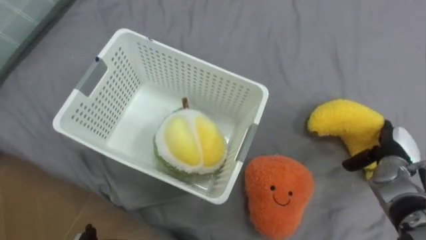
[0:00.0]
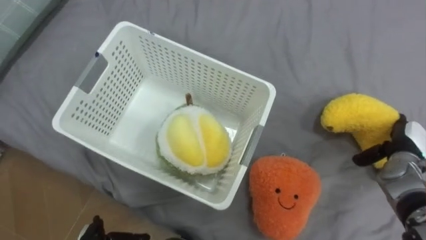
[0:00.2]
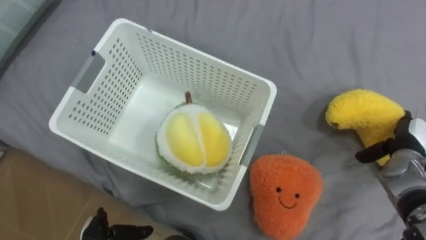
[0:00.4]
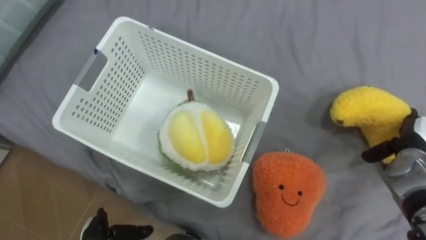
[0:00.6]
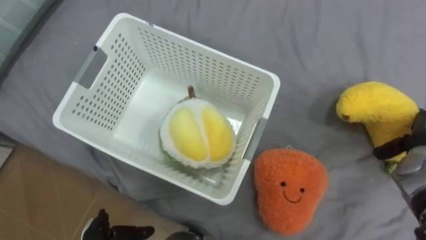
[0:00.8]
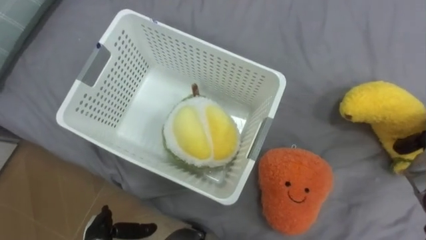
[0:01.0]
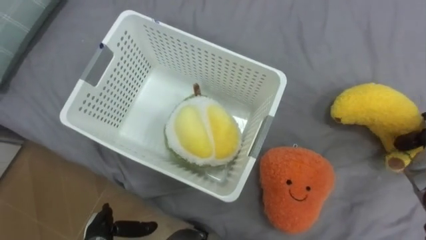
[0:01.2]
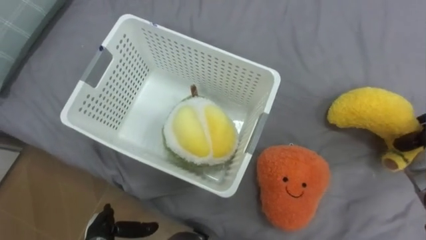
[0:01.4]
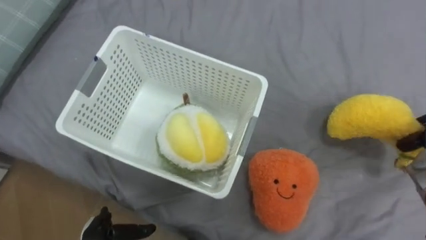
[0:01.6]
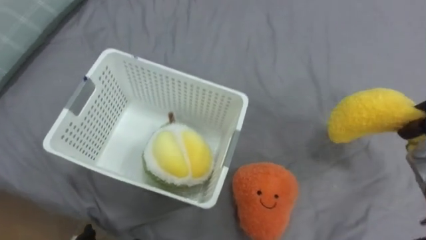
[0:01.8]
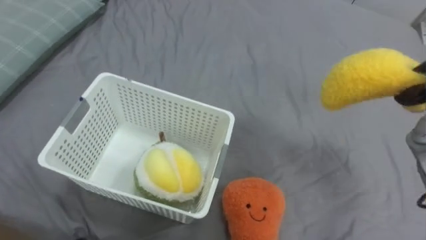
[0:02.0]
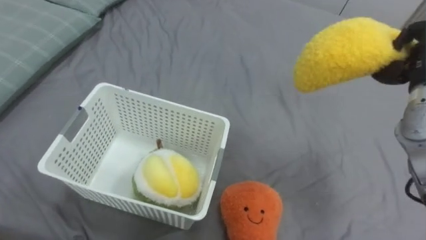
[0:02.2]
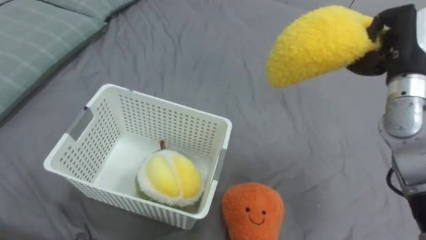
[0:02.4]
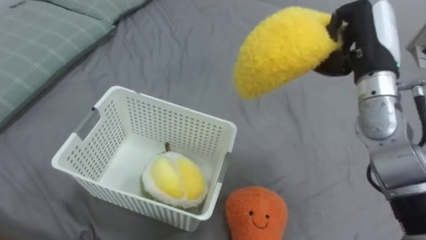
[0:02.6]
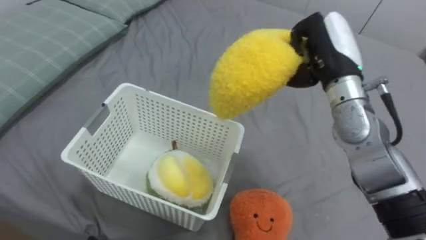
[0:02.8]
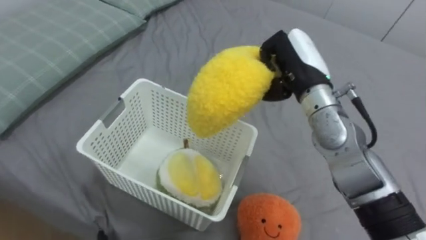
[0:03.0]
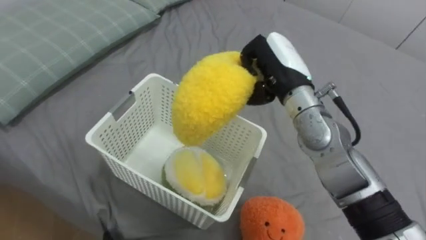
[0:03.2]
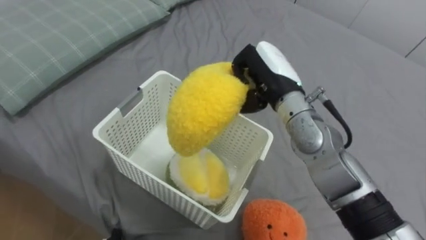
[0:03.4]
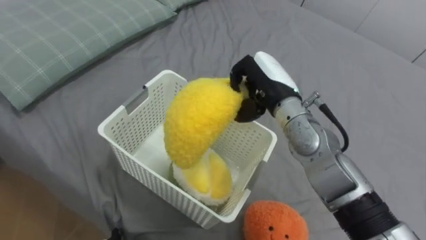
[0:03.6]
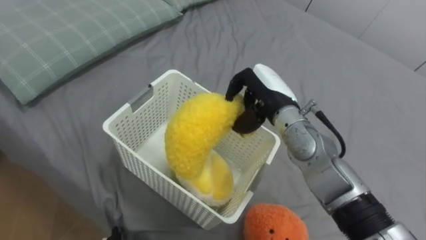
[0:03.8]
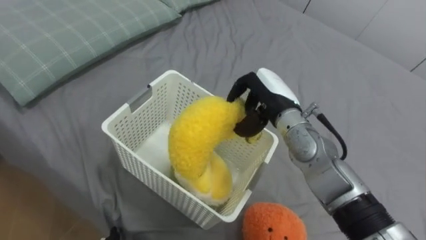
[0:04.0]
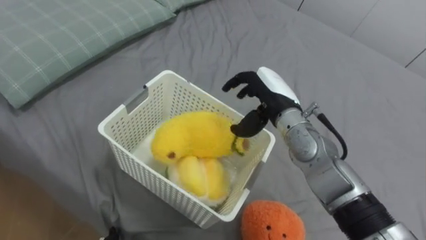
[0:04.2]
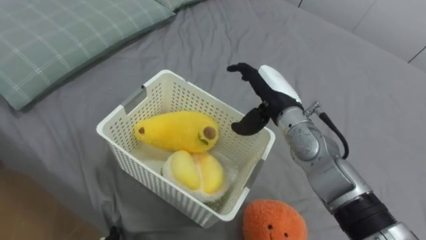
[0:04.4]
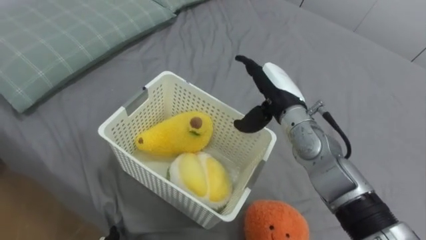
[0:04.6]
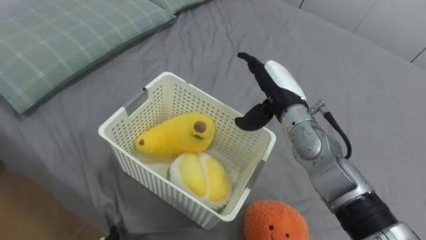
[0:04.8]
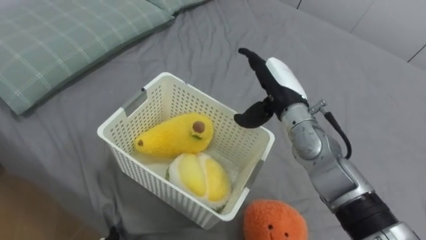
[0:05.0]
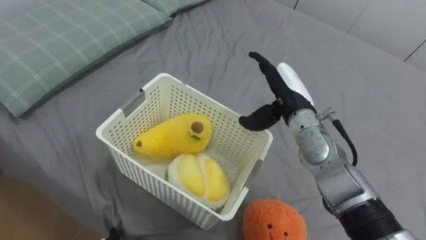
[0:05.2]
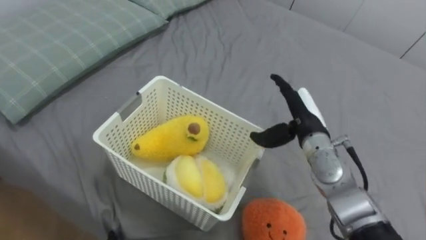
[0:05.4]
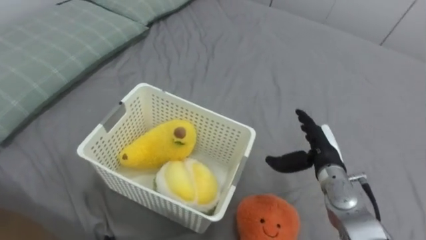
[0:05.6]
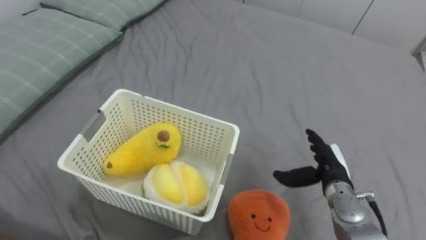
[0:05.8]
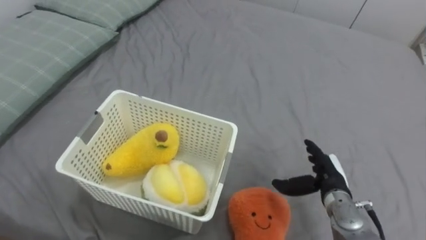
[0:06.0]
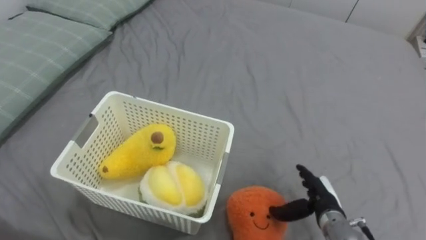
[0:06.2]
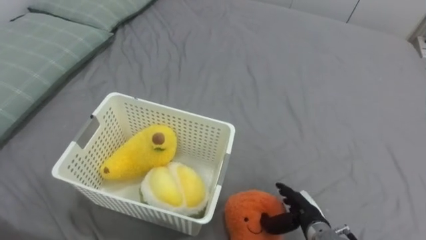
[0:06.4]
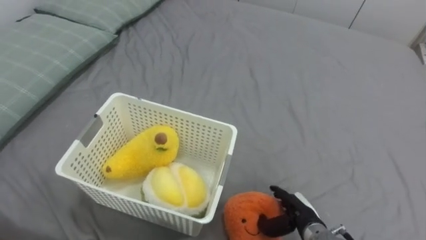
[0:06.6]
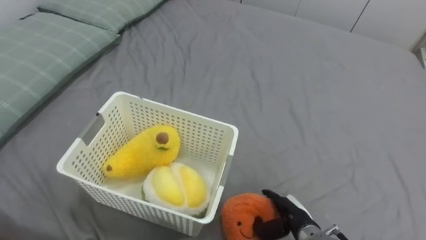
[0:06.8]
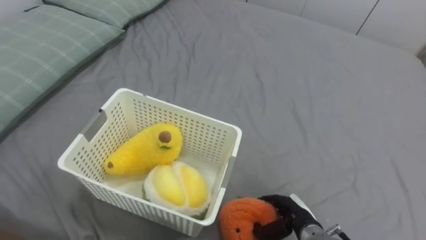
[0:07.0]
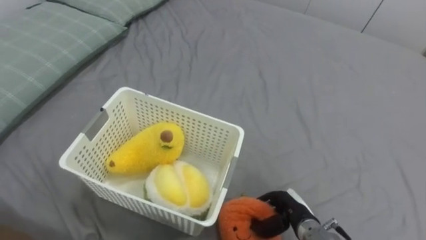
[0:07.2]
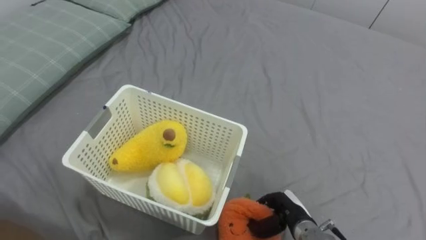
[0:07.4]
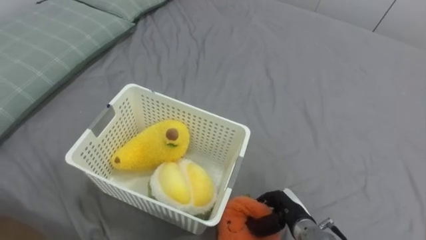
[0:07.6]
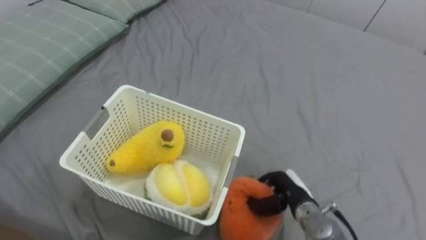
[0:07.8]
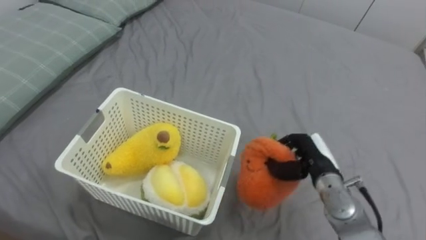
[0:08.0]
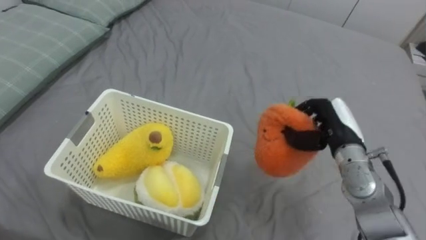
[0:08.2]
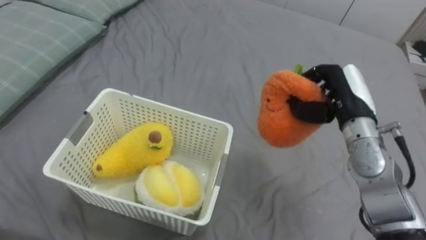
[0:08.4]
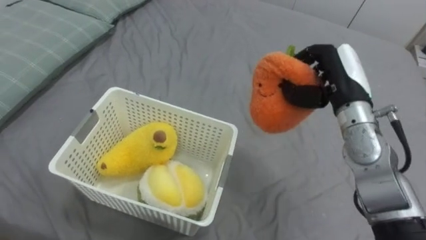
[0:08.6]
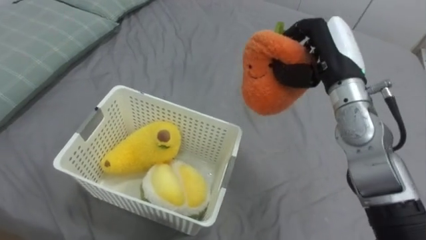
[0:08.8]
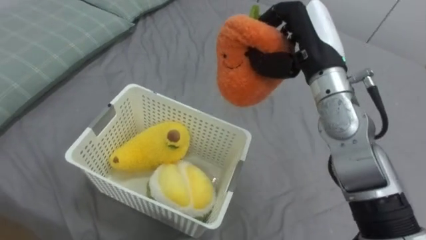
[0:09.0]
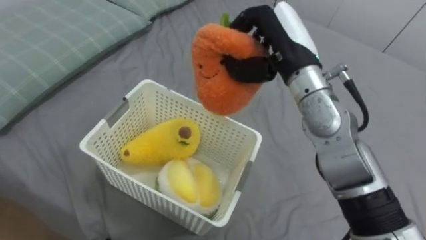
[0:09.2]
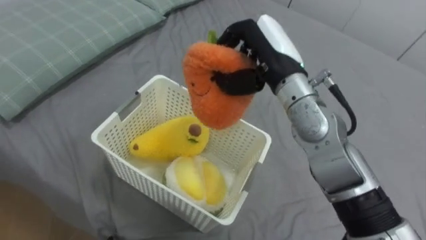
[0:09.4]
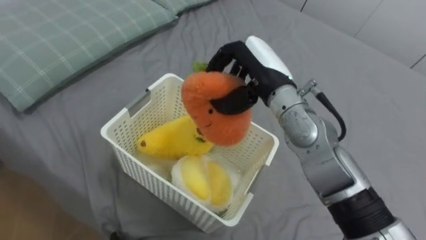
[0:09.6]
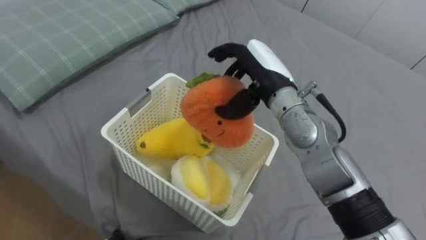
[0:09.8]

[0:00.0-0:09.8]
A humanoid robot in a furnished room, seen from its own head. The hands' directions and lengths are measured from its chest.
Task of the whole recording: Put the toys on the bed into the basket on the left.
0:02.8 to 0:04.2: The right hand moves downward and to the left, some 10 cm, and opens its fingers.
0:04.2 to 0:05.6: The right hand heads to the right, downward and backward, covering roughly 15 cm.
0:05.6 to 0:07.0: The right hand shifts about 15 cm downward and backward.
0:07.0 to 0:08.4: The right hand is displaced upward and forward by approximately 25 cm, and closes.
0:08.4 to 0:09.8: The right hand goes approximately 15 cm to the left, and opens its fingers.

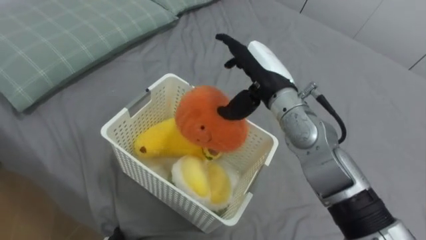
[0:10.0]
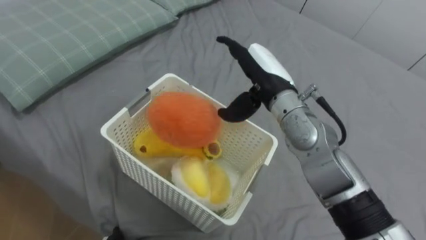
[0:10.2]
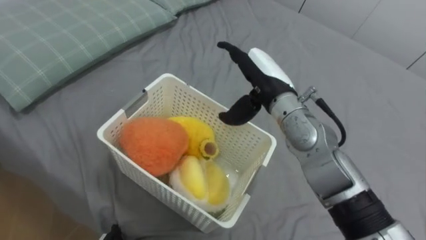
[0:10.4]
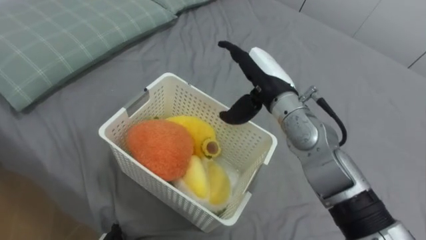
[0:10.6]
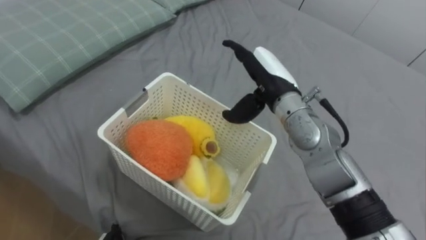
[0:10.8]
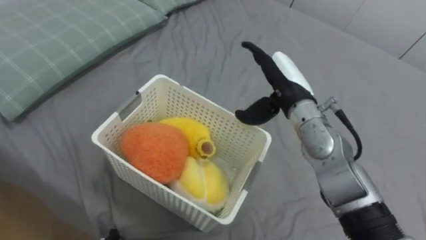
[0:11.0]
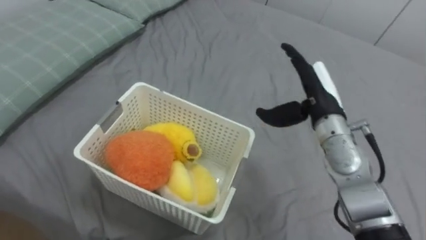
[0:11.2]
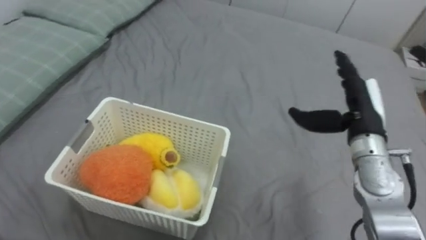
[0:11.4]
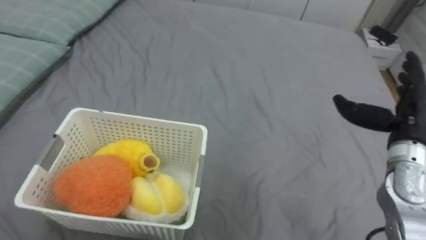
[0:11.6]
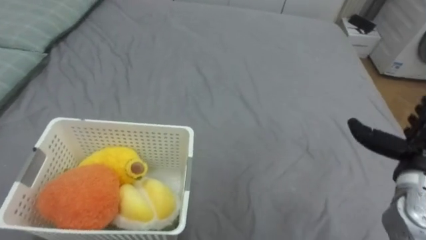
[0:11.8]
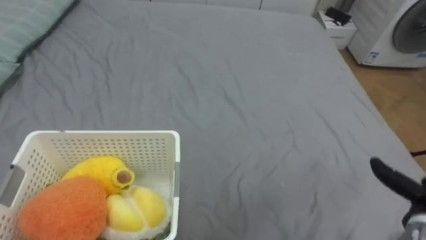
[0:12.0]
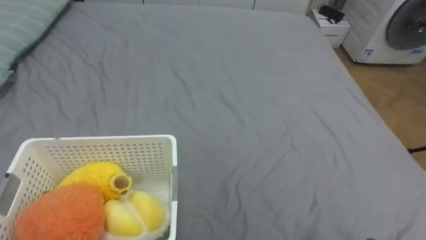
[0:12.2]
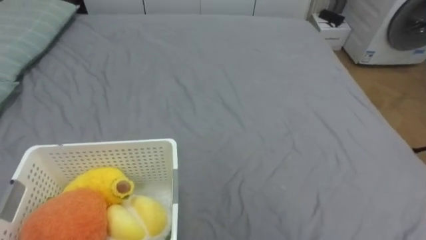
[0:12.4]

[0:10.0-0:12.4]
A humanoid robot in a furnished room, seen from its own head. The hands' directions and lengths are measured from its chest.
Task of the whole recording: Put the toys on the bed into the basket on the left.
0:10.0 to 0:11.2: The right hand shifts about 10 cm to the right.

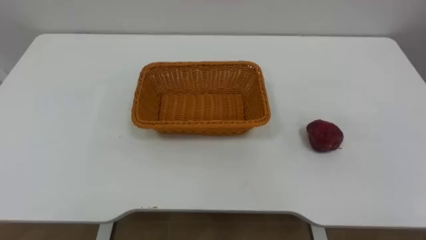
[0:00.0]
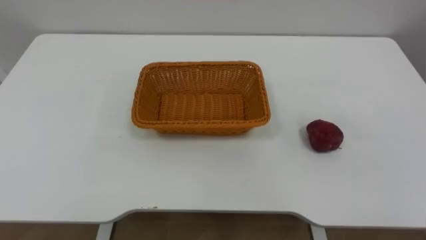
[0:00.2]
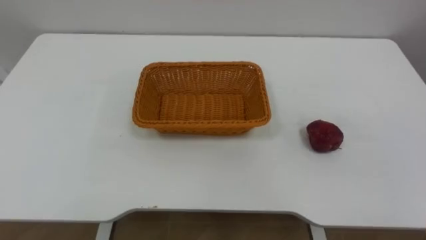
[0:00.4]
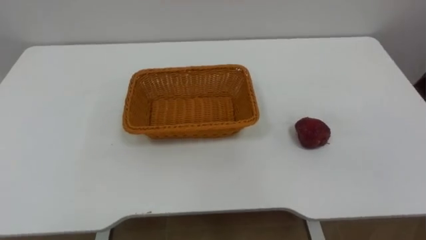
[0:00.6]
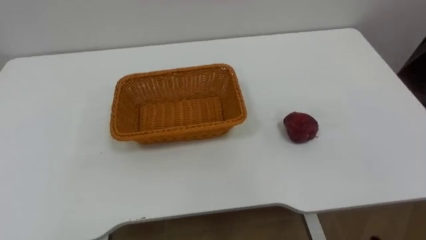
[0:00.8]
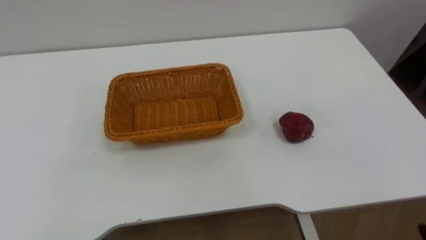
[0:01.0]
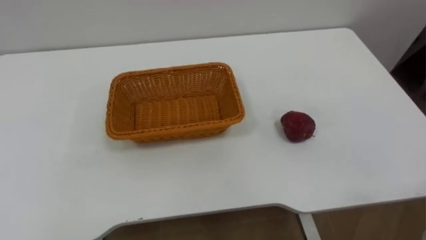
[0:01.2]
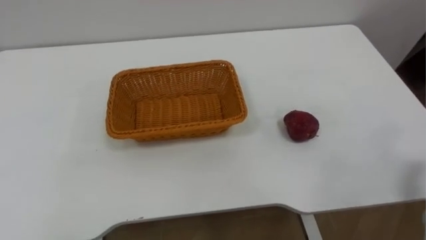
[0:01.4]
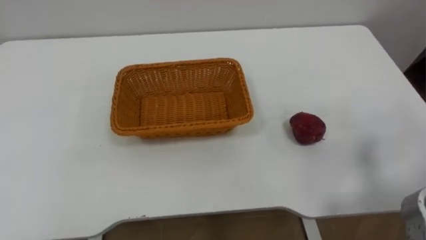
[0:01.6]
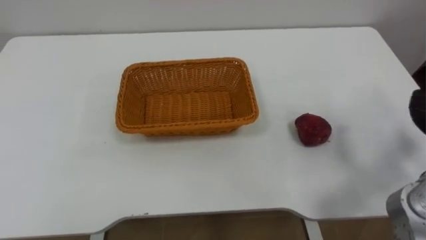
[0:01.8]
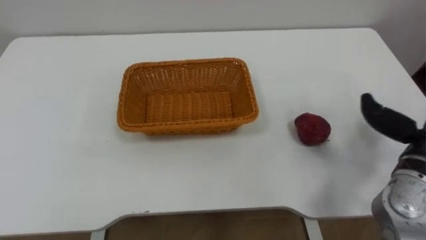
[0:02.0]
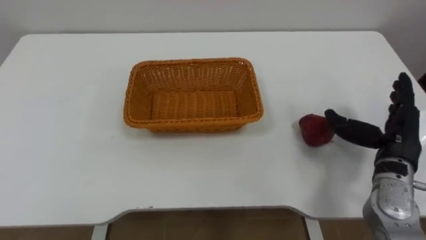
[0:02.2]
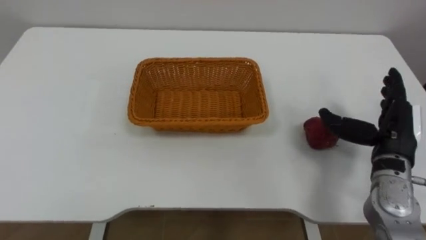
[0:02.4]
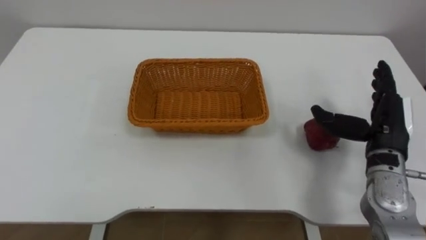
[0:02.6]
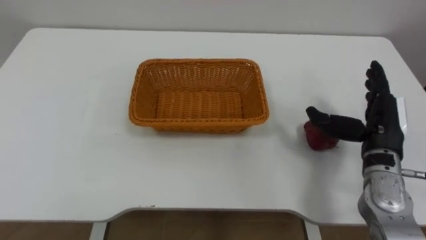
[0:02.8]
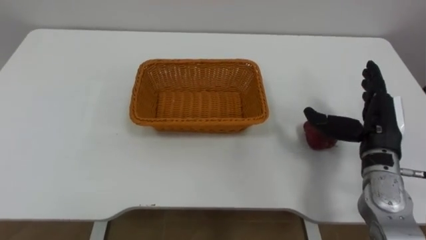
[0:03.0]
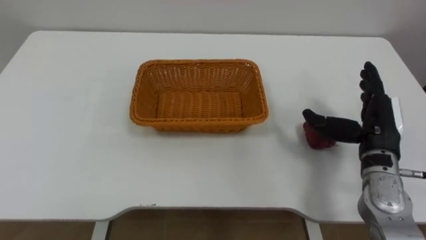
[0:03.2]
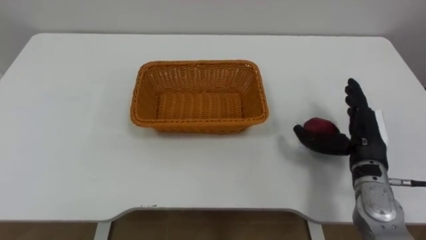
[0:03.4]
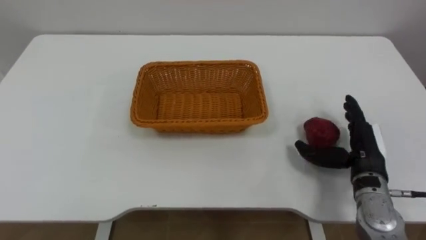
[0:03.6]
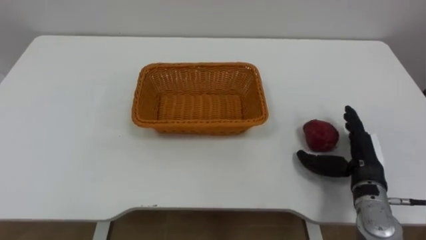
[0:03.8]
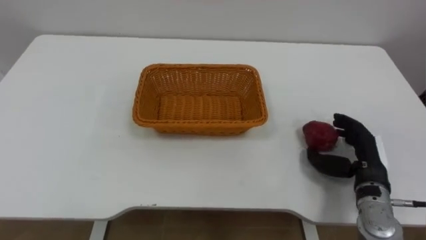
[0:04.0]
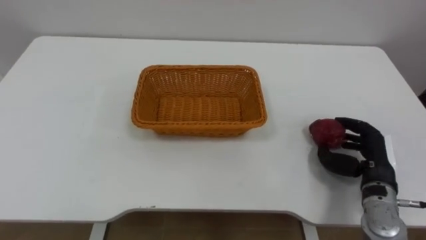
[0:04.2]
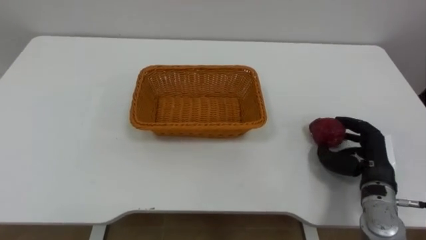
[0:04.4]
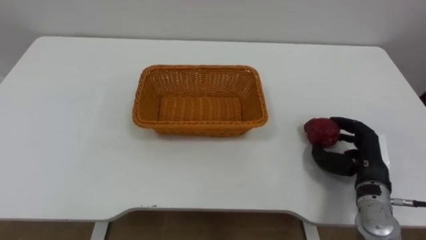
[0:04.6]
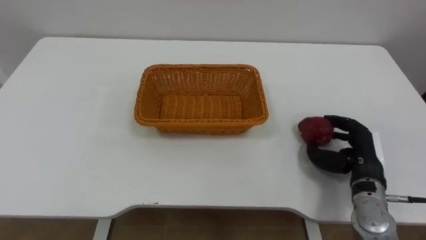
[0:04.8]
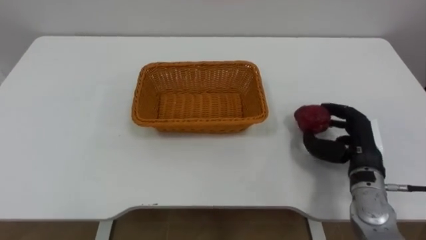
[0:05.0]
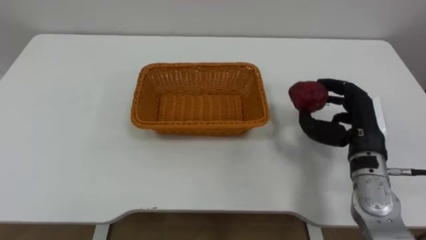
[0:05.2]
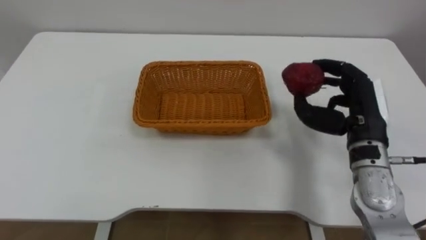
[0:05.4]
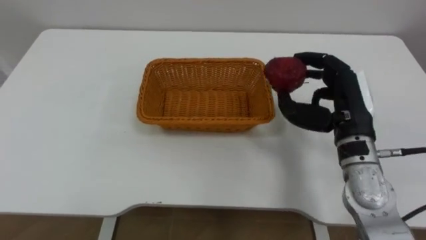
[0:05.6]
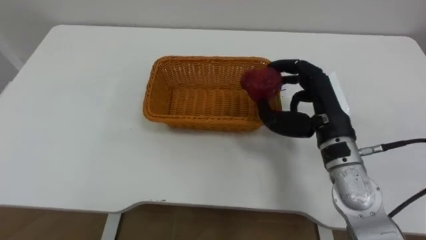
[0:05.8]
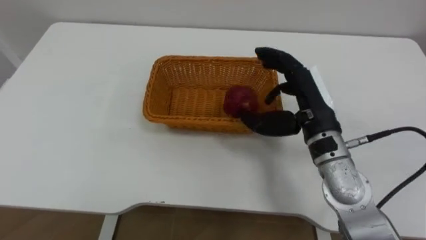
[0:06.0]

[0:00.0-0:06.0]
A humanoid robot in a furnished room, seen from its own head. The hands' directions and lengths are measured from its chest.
Task of the whole recording: Pick the apple and place it in the box.
0:03.0 to 0:04.4: The right hand heads downward, covering approximately 10 cm, and closes up.
0:04.4 to 0:06.0: The right hand moves to the left and upward, some 20 cm.
